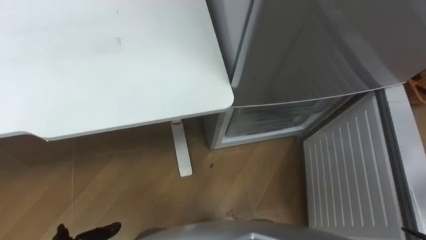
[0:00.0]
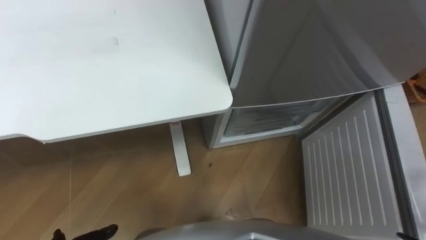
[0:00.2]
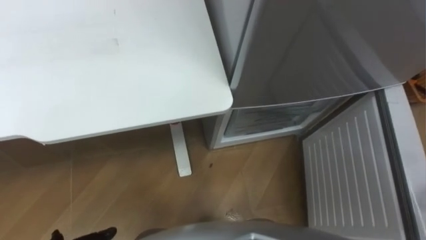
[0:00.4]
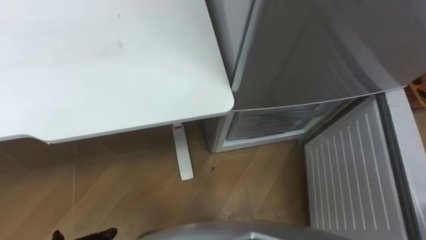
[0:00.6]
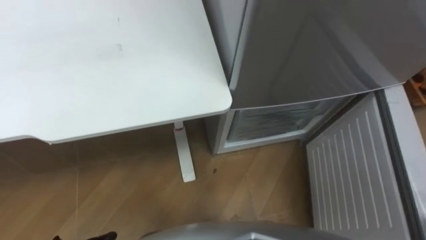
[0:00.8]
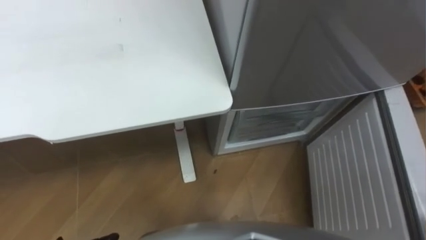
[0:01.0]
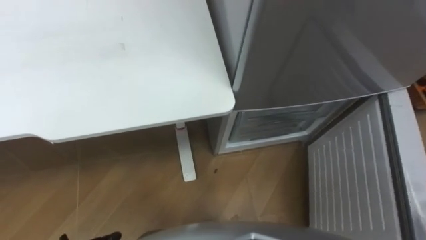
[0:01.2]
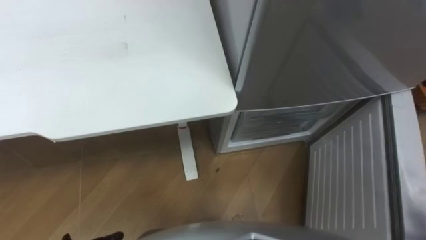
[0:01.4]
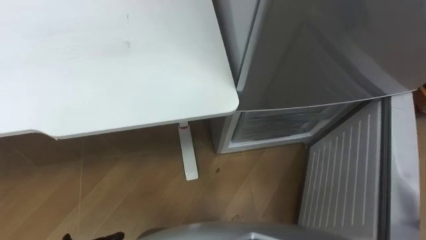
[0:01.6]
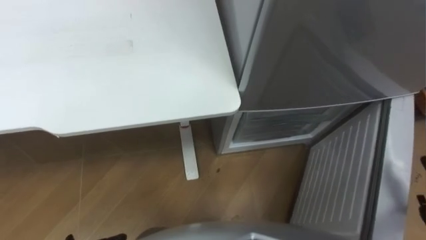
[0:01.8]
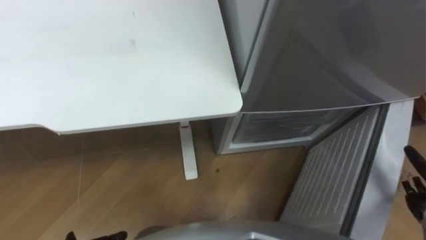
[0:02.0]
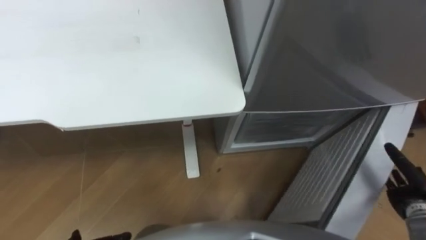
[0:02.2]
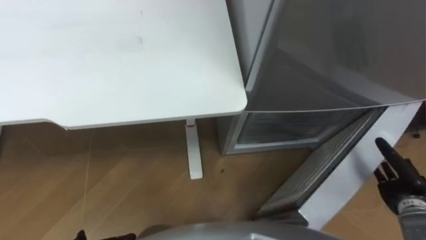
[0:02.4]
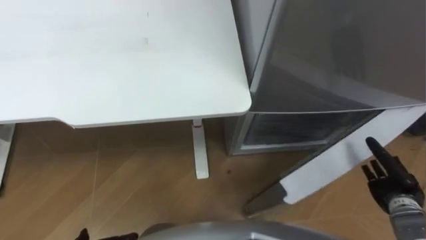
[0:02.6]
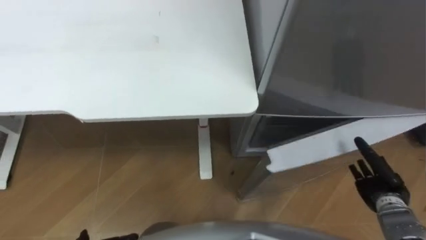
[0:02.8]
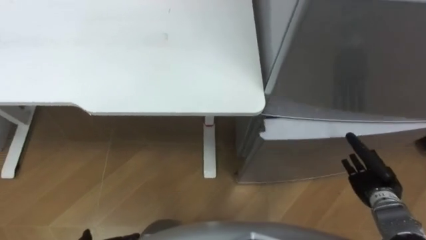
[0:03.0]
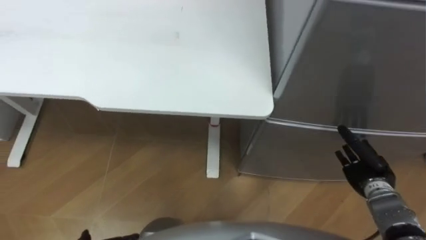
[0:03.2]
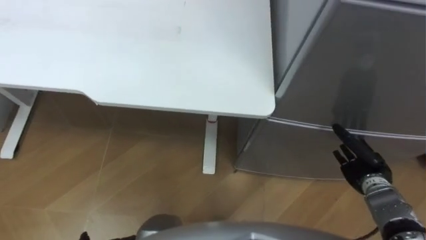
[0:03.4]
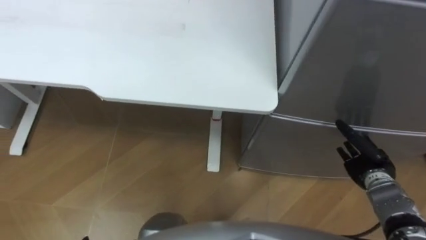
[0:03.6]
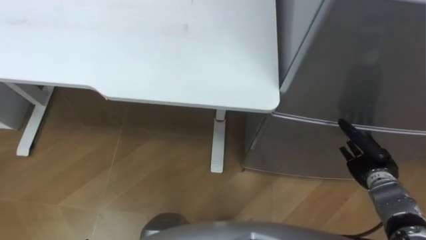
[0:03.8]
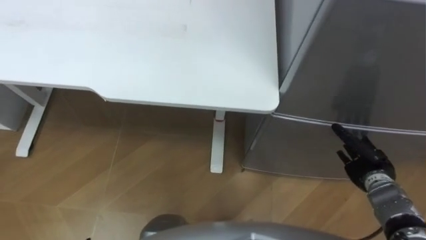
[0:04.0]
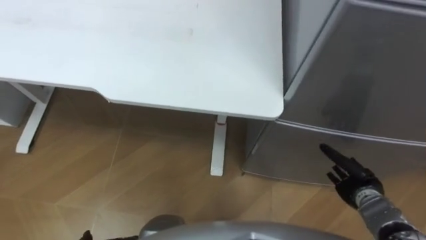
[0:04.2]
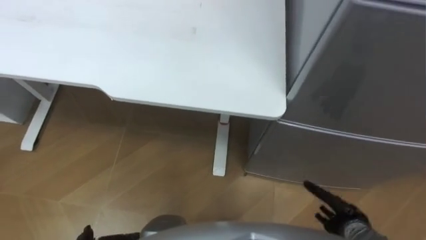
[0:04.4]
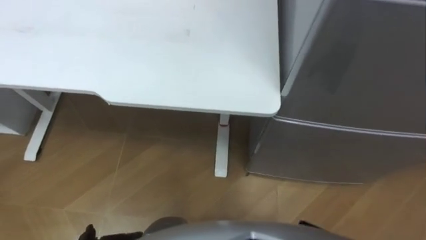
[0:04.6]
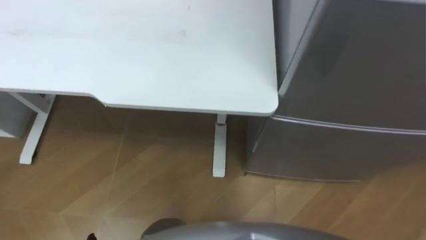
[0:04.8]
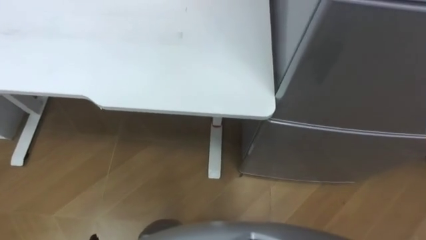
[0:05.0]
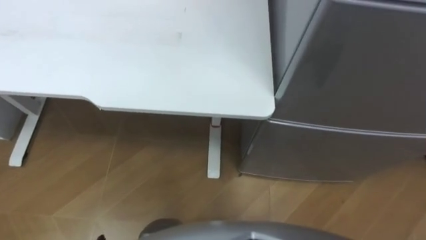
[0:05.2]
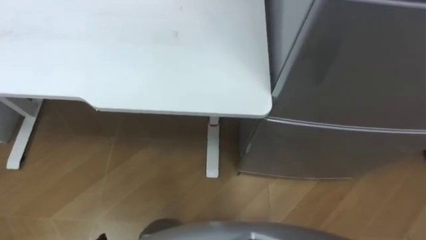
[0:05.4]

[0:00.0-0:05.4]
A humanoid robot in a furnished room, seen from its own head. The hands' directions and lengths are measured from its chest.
Task of the whole recording: Place the drink on the table on the bottom shelf of the refrigerator, then close the drawer and the refrigerator door.
0:02.8 to 0:04.0: The right hand ends up roughly 5 cm from where it was.

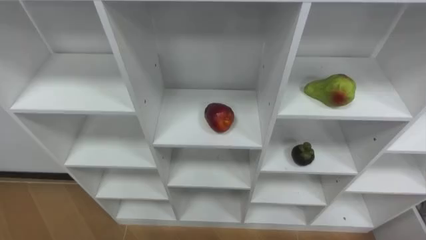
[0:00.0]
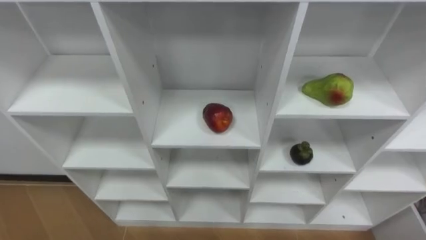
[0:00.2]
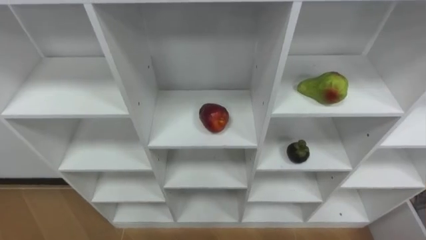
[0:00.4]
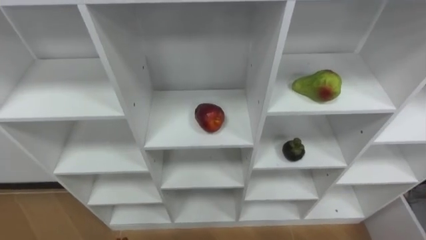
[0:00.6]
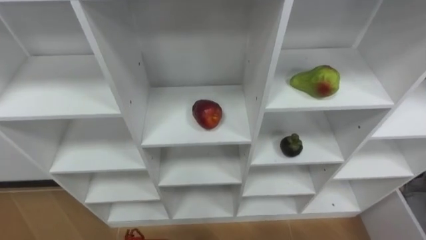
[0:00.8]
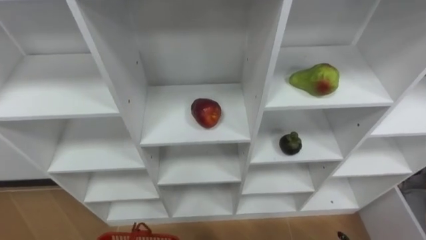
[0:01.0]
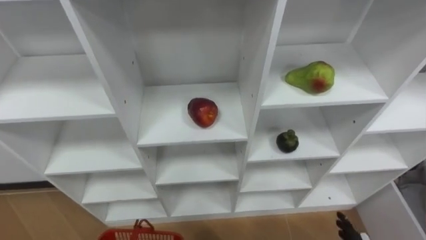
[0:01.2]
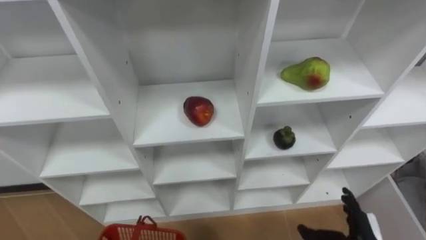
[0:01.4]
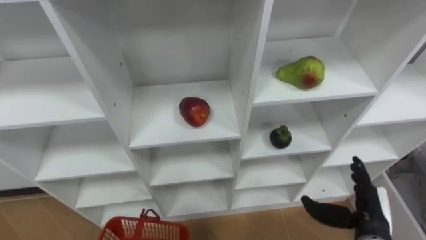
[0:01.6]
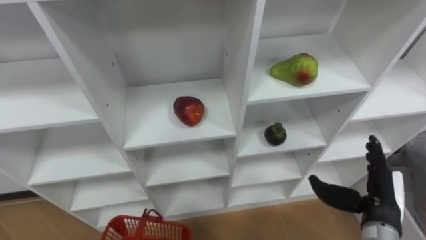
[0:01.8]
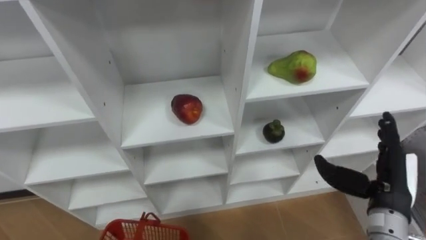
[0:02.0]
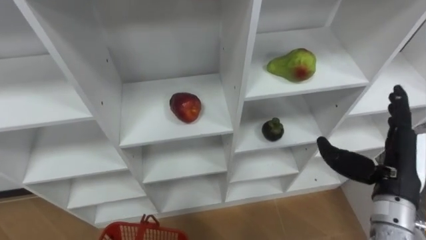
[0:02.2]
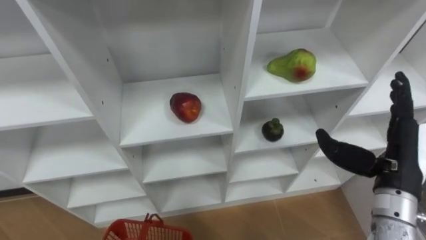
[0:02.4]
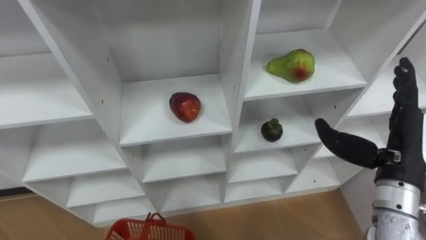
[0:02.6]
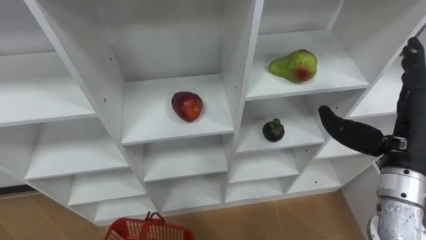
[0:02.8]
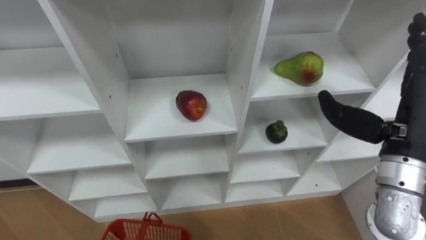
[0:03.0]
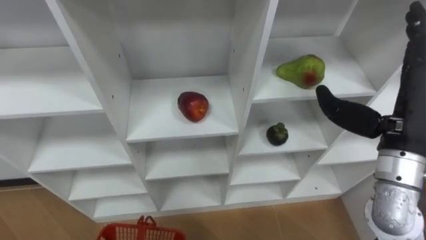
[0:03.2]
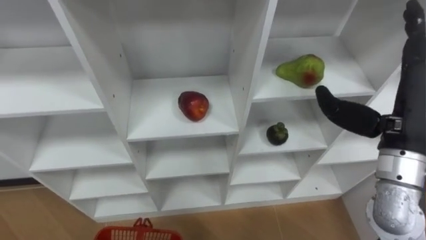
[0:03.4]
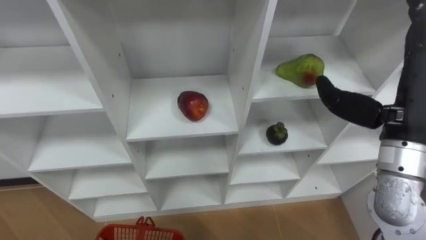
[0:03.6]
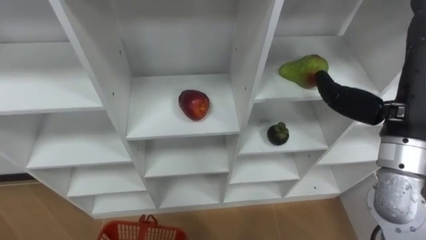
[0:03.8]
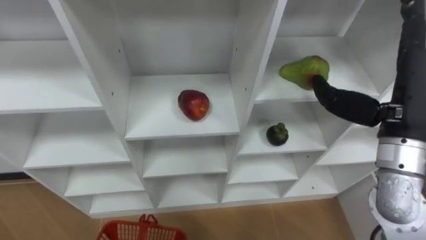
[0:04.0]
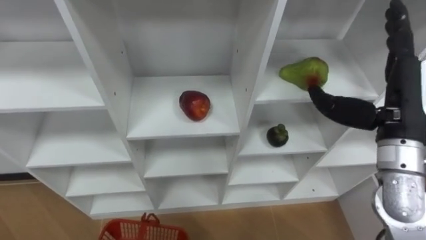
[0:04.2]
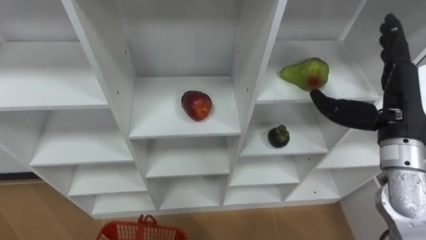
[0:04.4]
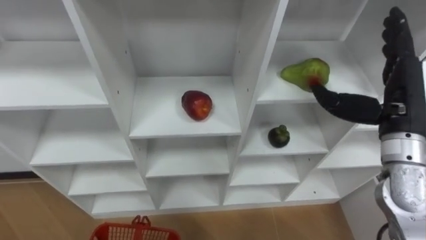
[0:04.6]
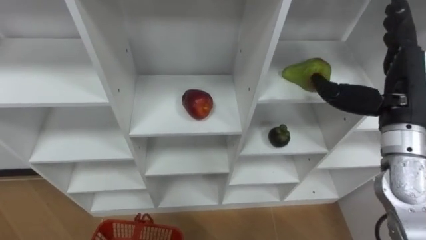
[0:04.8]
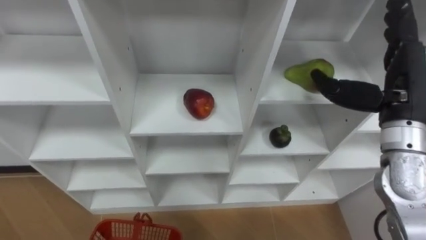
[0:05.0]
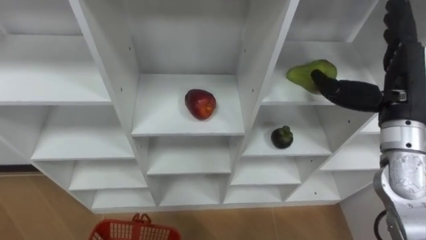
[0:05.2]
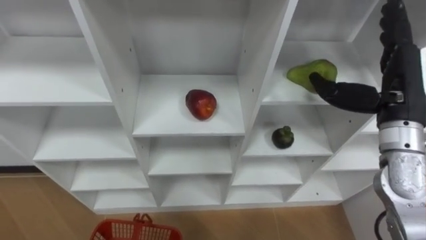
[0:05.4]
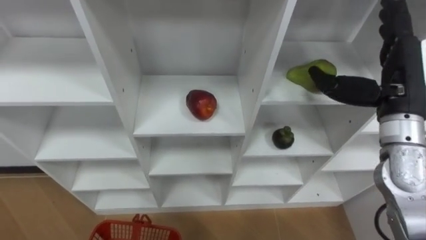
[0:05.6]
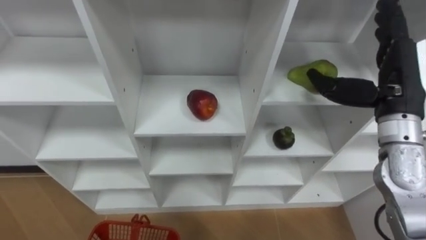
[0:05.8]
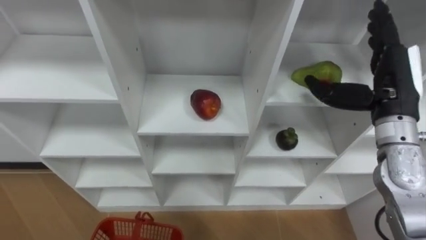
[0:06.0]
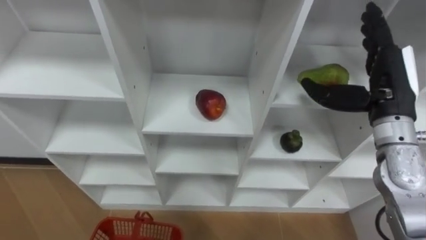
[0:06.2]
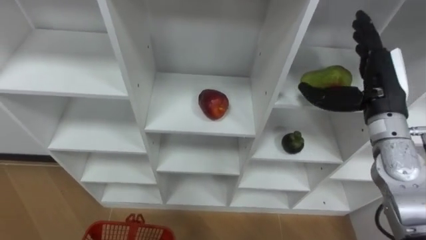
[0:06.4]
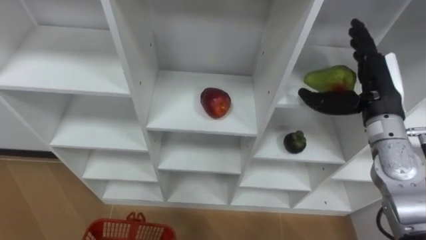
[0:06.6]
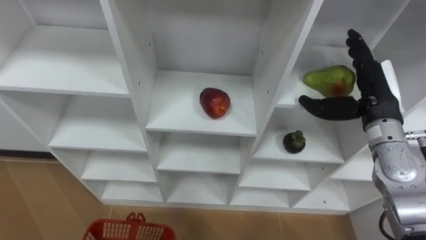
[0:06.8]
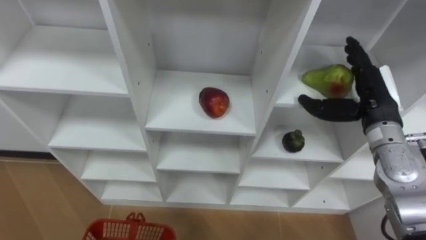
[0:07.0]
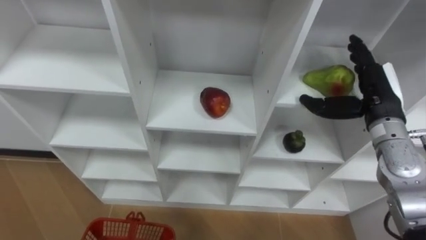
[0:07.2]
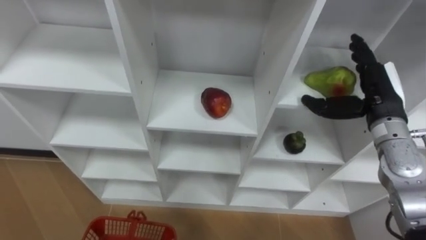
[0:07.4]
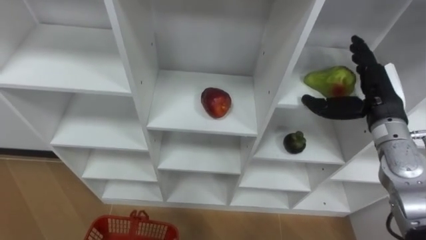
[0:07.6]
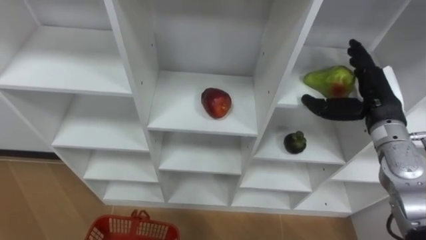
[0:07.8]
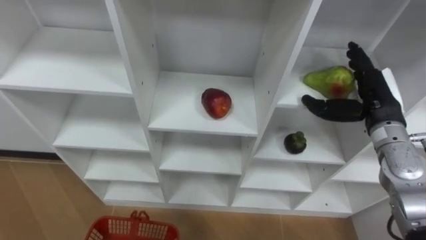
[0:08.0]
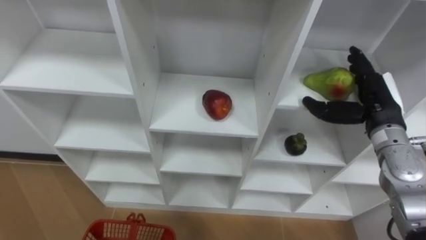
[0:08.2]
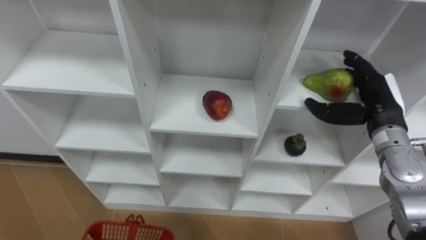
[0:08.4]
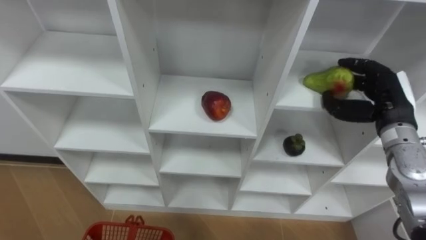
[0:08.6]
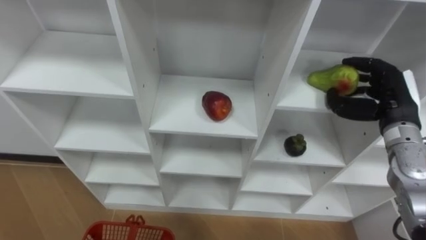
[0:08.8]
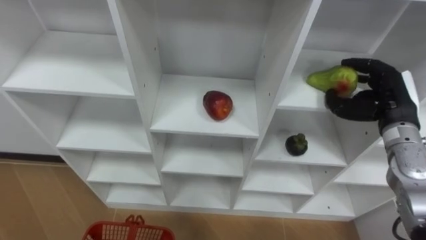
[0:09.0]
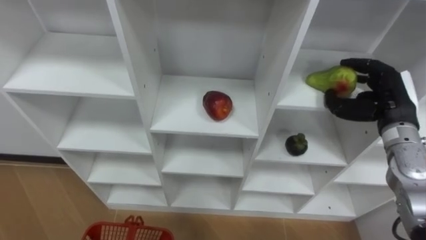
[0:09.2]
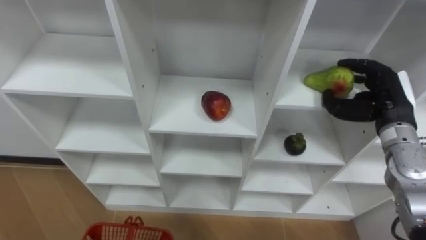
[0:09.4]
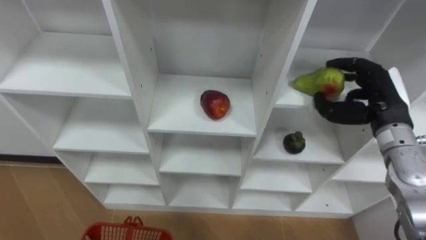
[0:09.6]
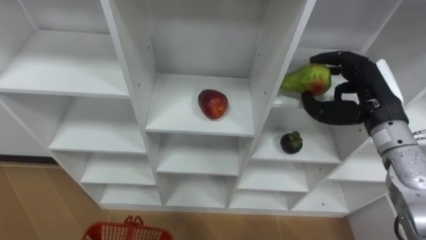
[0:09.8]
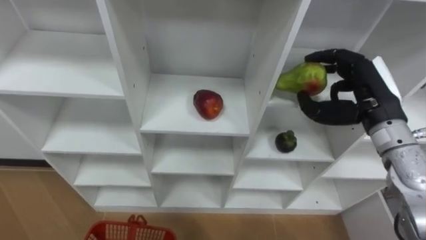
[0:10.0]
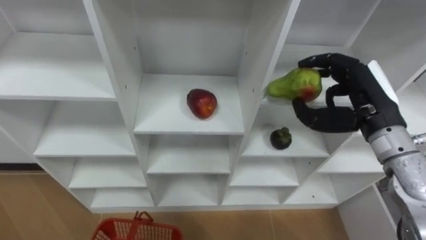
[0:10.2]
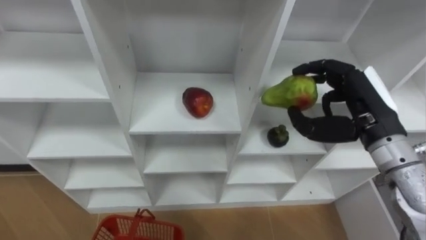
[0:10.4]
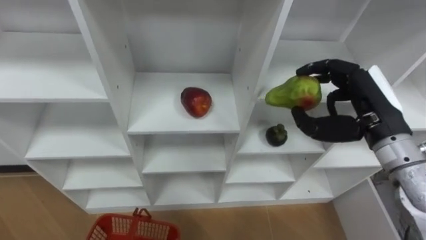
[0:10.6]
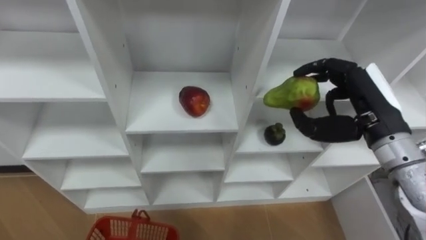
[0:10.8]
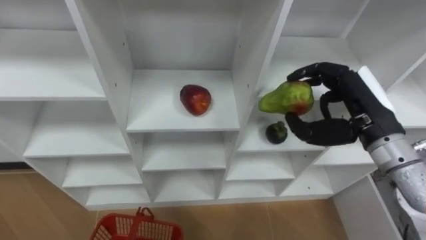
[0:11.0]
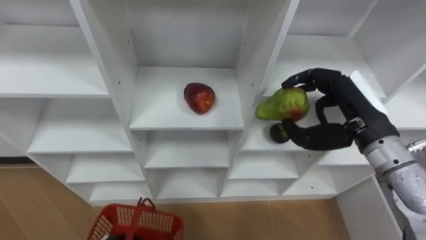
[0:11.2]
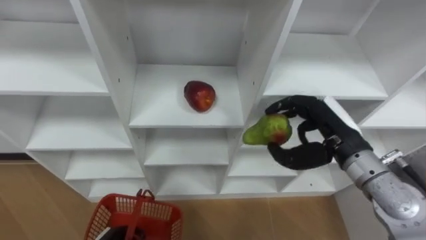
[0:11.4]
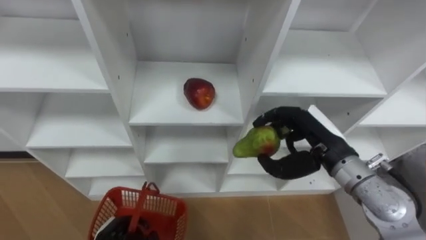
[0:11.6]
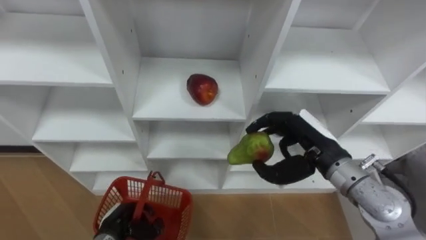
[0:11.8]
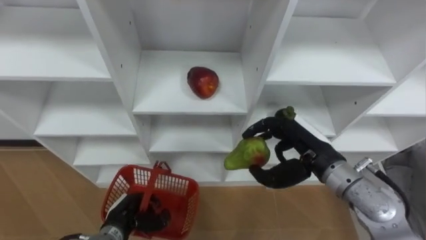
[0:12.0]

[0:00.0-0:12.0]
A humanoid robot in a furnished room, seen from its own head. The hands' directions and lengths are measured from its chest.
Task of the whole recording: Hold the basket and collect the fruits from 3 different cells of the closet into it.
0:01.6 to 0:03.0: The right hand shifts about 20 cm upward.
0:06.0 to 0:07.6: The right hand moves downward, some 5 cm.
0:07.6 to 0:09.0: The right hand closes up.
0:09.0 to 0:10.4: The right hand goes some 10 cm to the left and upward.
0:10.4 to 0:12.0: The right hand heads downward and to the left, covering about 10 cm.
